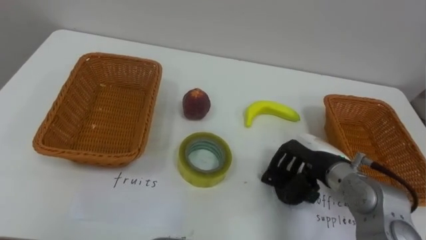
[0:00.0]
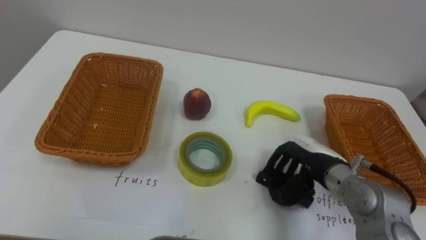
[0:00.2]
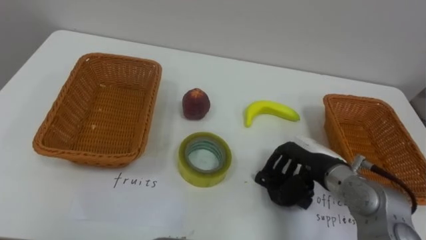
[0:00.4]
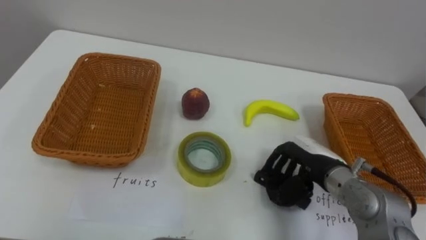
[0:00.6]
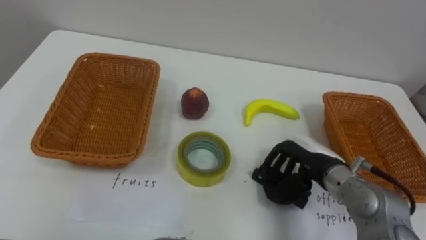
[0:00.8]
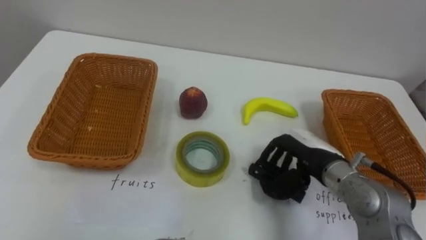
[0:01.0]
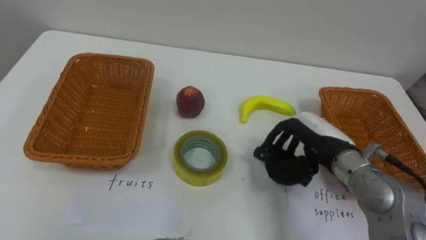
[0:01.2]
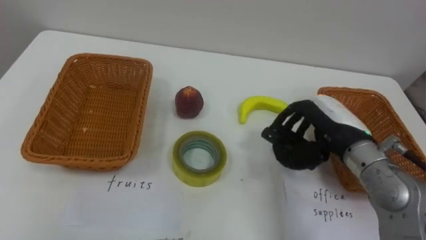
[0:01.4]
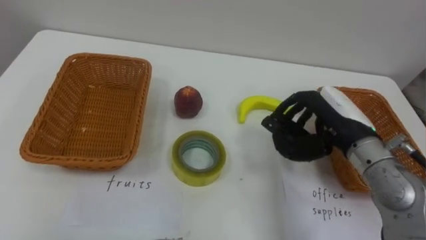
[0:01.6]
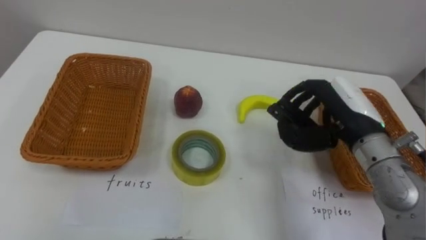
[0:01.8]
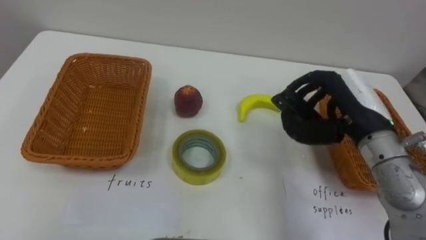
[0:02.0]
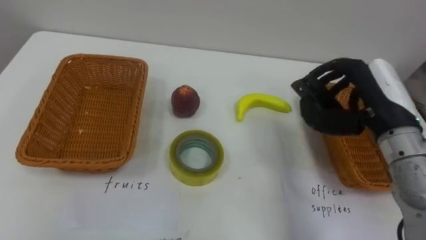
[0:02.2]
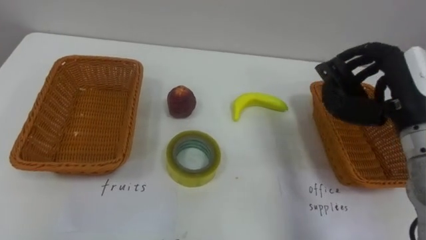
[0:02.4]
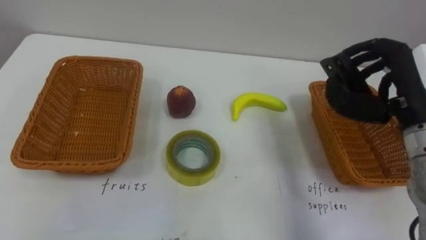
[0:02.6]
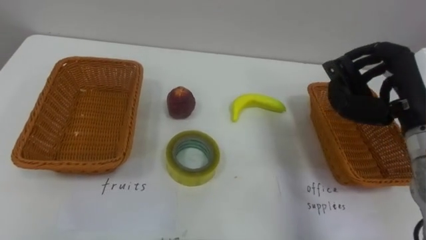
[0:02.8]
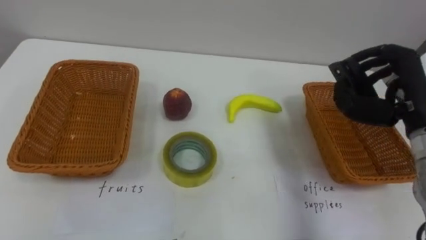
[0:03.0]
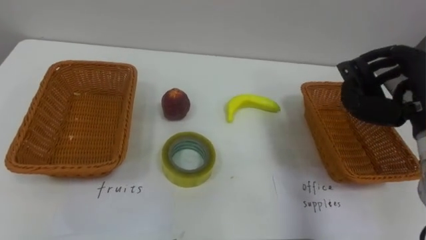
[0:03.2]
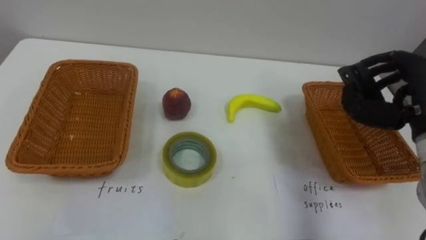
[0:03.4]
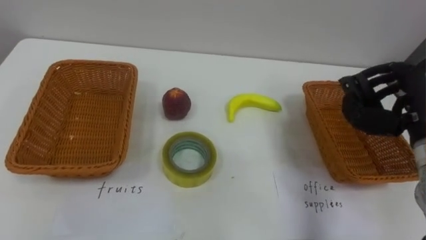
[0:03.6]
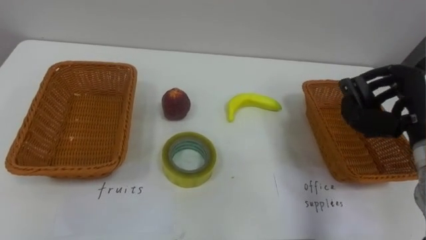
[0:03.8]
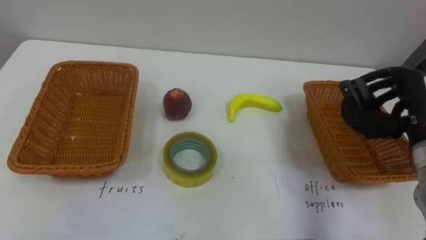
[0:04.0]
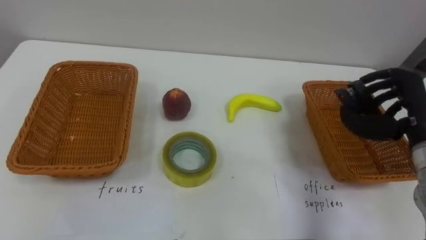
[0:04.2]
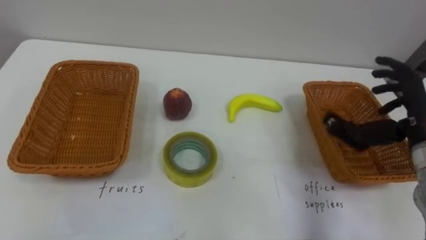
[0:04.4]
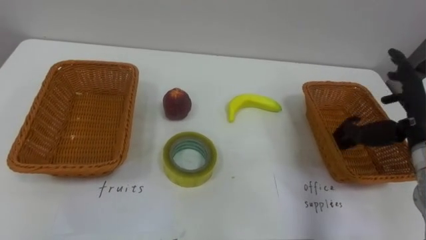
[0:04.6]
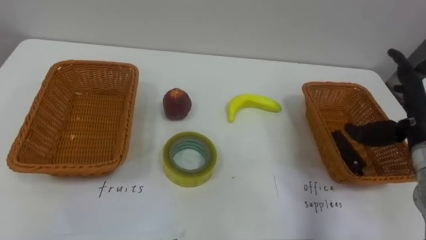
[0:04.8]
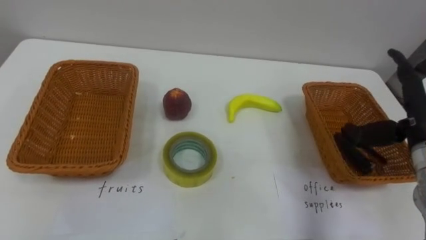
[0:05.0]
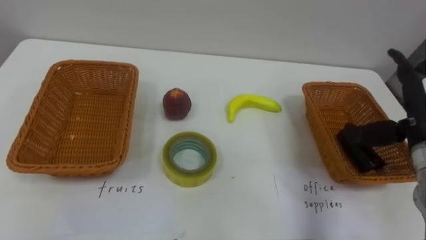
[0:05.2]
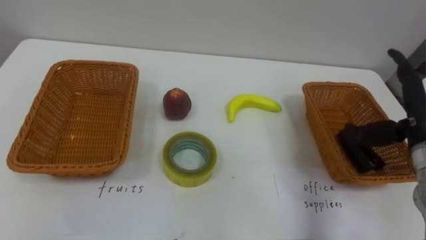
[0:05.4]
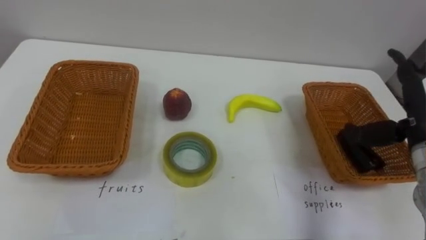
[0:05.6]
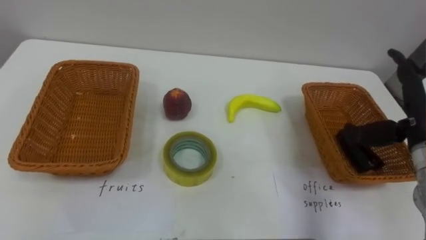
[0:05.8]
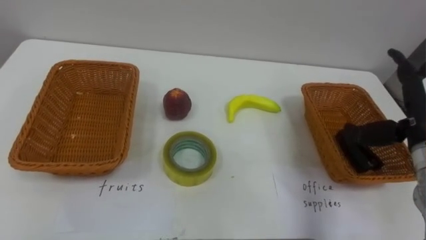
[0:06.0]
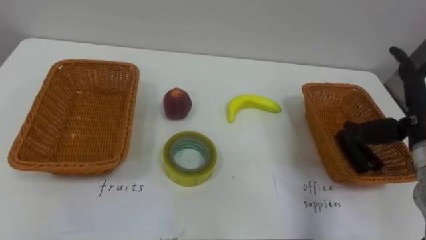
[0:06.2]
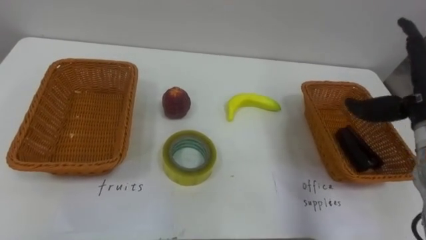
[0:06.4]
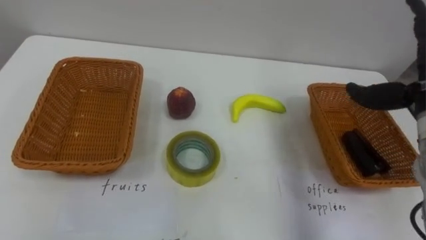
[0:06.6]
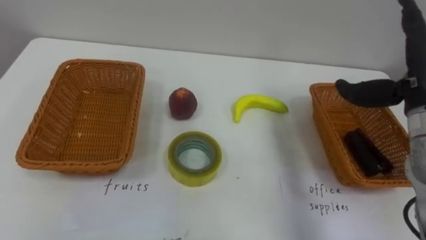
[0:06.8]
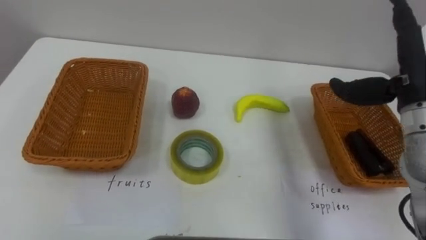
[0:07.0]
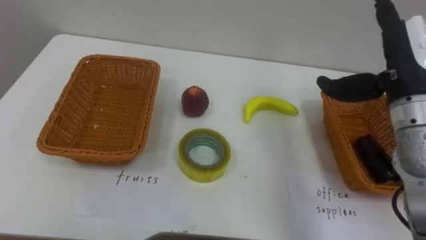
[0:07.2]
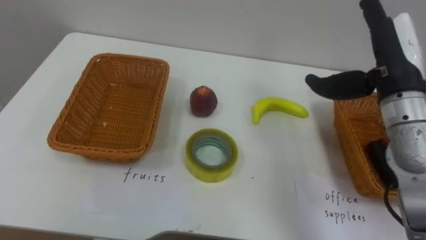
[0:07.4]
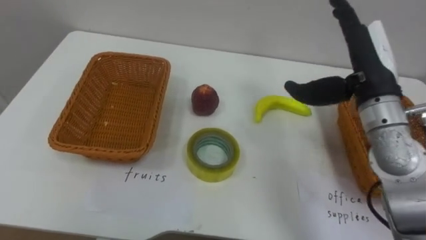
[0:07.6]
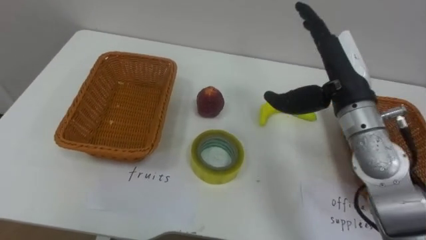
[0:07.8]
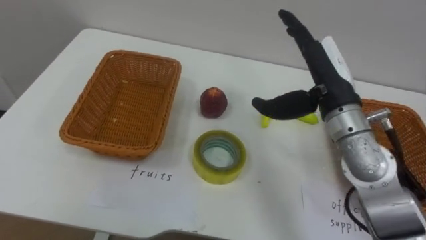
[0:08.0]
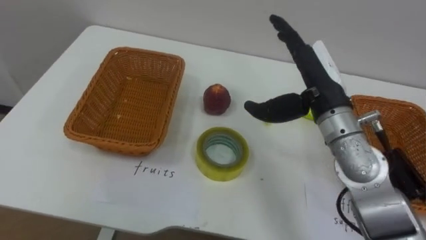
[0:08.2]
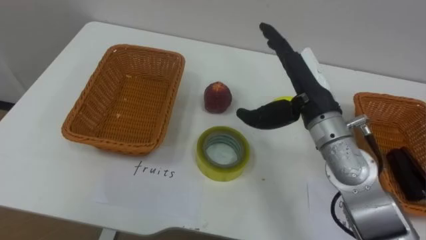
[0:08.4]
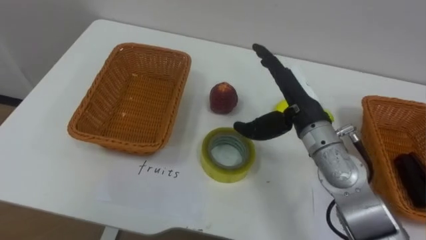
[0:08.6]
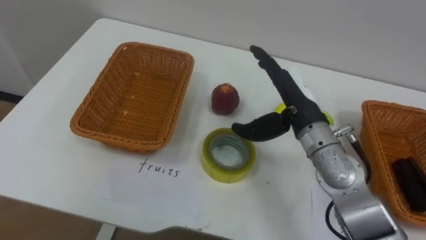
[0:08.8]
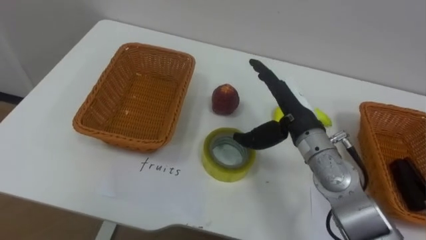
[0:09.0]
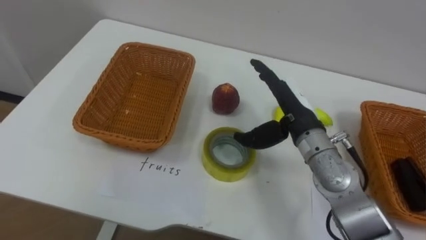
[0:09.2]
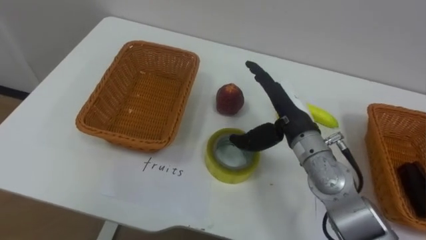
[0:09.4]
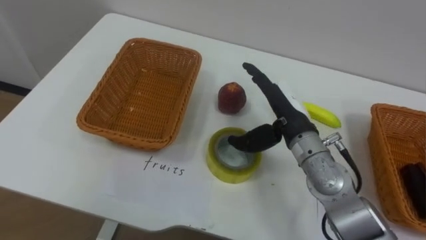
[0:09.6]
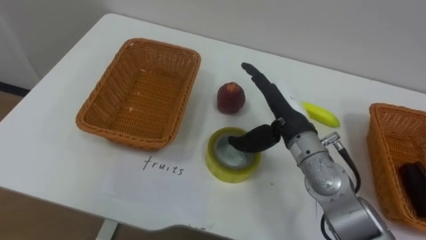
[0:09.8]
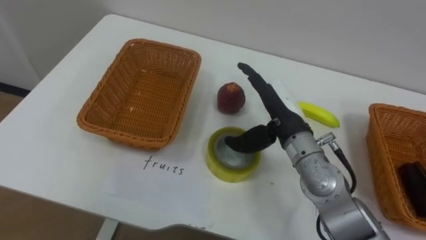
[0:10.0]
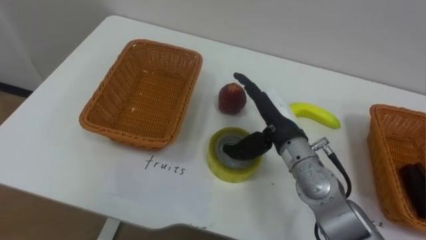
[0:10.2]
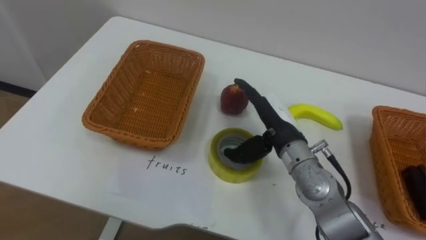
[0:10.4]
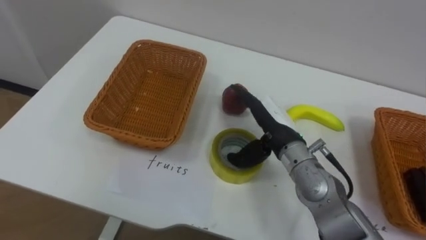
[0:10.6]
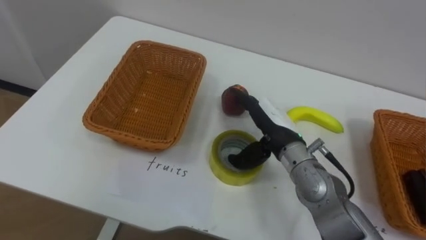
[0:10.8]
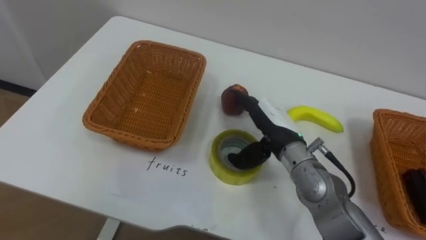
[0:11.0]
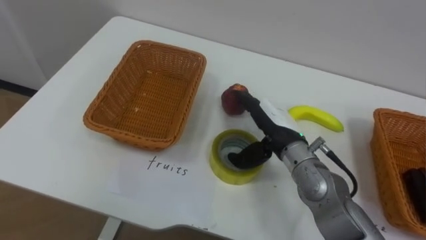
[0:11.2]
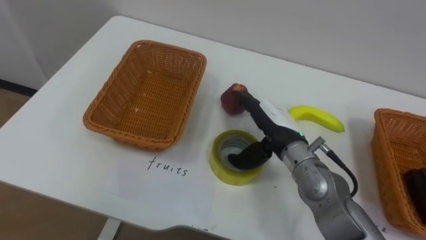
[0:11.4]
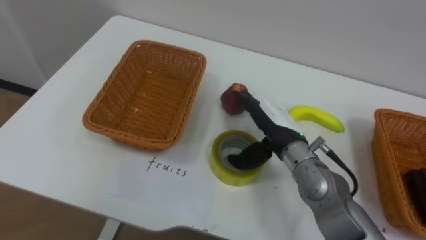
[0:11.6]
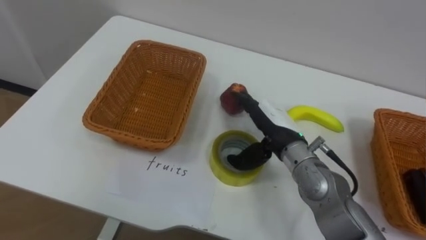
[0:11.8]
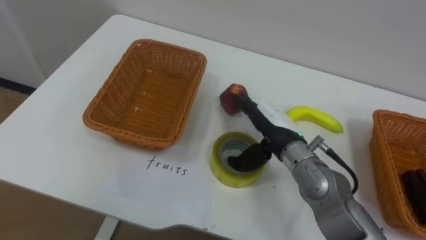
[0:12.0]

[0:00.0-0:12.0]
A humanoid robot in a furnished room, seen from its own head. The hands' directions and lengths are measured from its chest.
Task of the whole recording: Separate the items on the table and place them into the two baskets.
0:00.0 to 0:01.6: The right hand travels upward by some 10 cm.
0:01.6 to 0:03.0: The right hand goes roughly 10 cm to the right and upward.
0:03.0 to 0:04.4: The right hand changes place by some 5 cm.
0:04.4 to 0:06.0: The right hand opens.
0:07.6 to 0:09.0: The right hand goes roughly 15 cm downward and to the left.

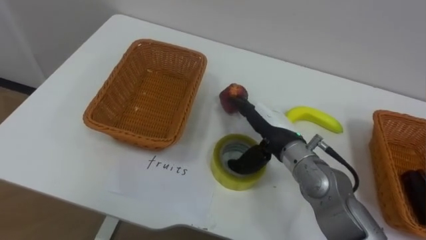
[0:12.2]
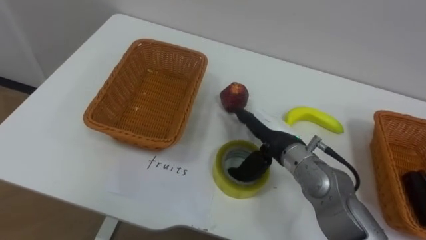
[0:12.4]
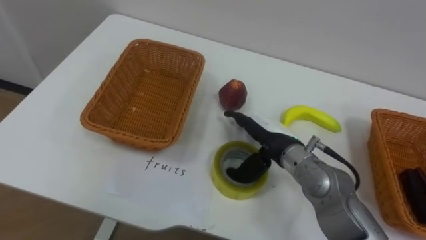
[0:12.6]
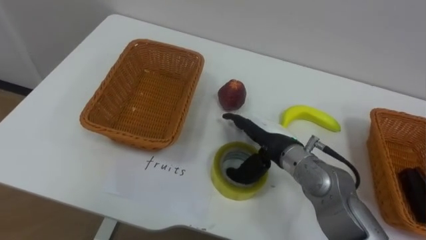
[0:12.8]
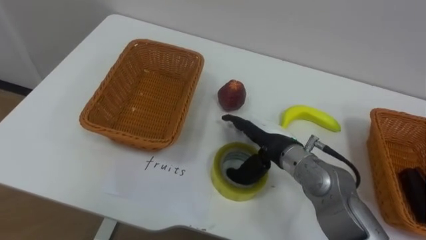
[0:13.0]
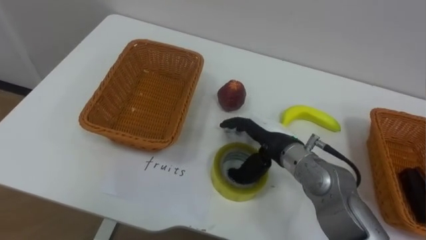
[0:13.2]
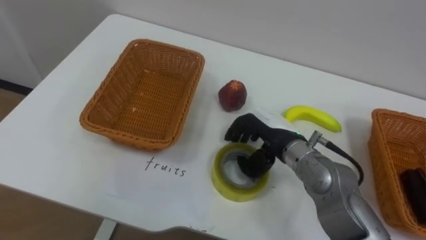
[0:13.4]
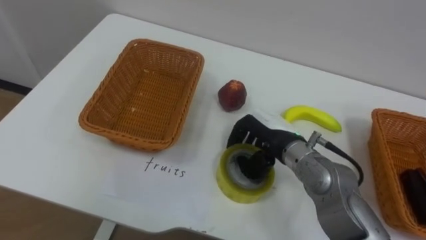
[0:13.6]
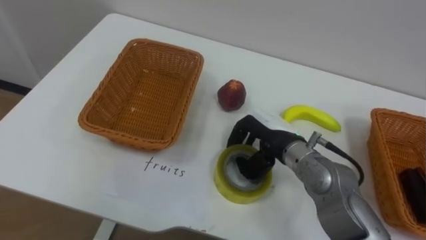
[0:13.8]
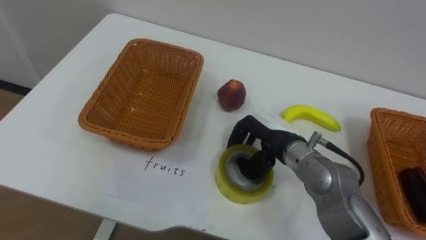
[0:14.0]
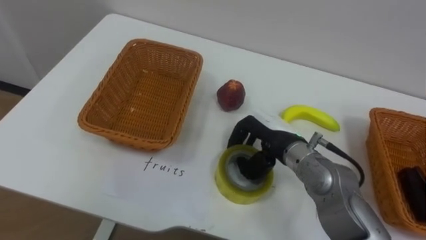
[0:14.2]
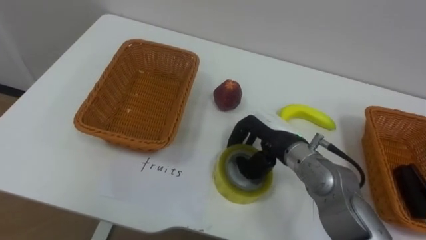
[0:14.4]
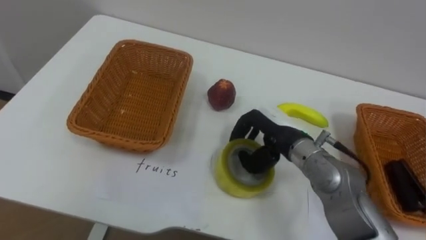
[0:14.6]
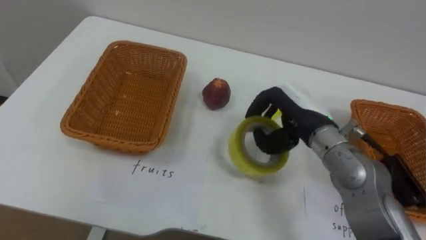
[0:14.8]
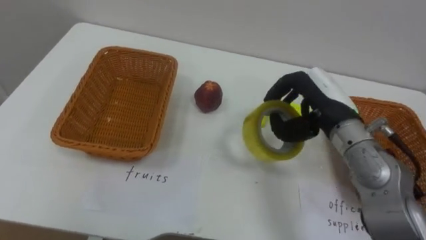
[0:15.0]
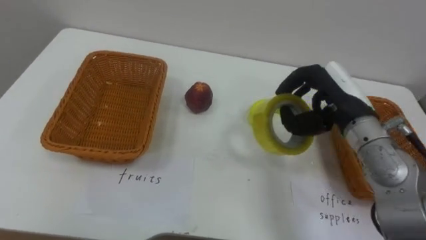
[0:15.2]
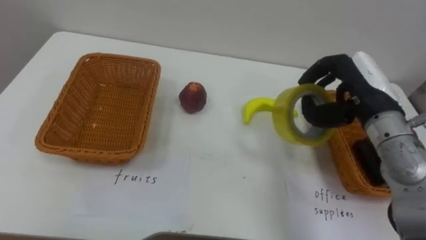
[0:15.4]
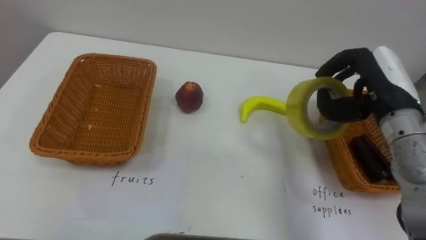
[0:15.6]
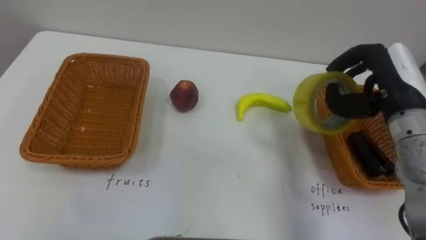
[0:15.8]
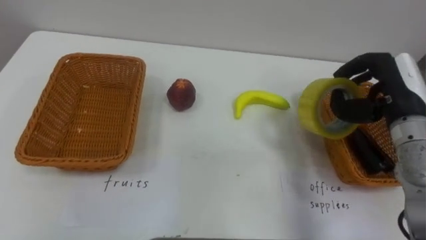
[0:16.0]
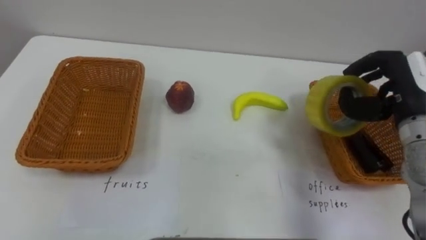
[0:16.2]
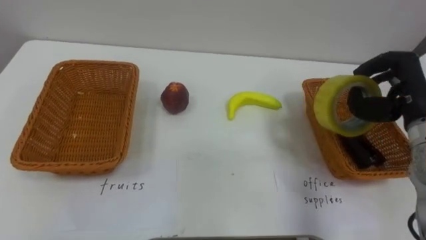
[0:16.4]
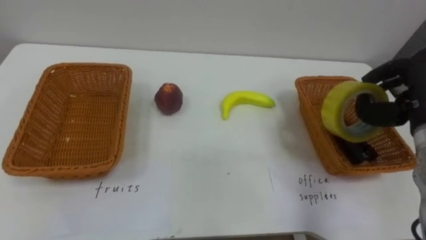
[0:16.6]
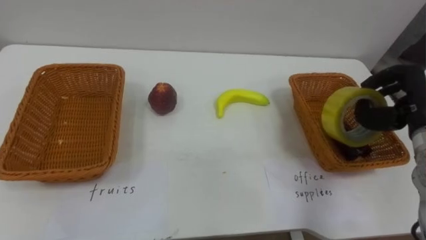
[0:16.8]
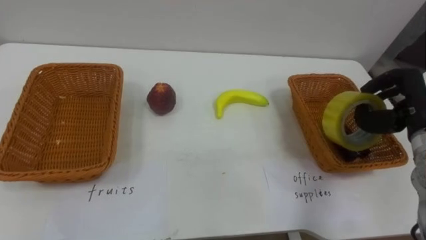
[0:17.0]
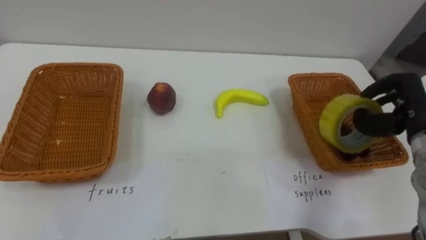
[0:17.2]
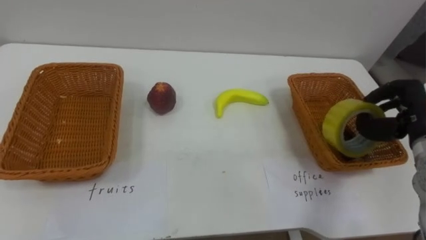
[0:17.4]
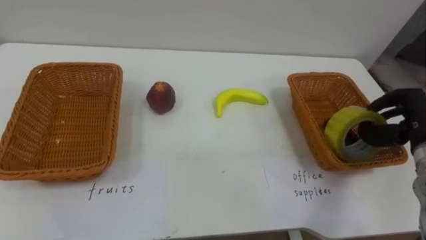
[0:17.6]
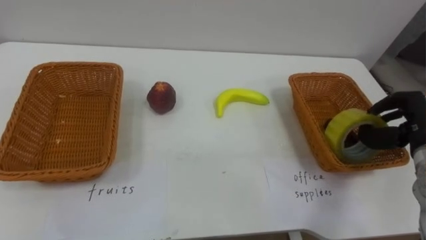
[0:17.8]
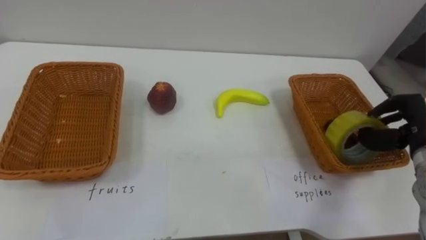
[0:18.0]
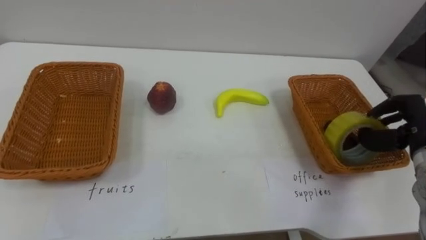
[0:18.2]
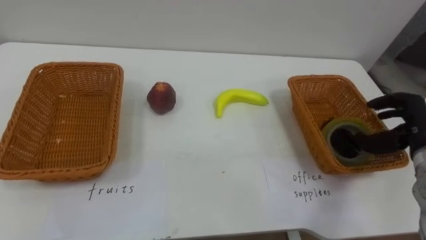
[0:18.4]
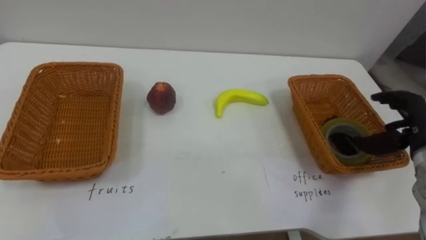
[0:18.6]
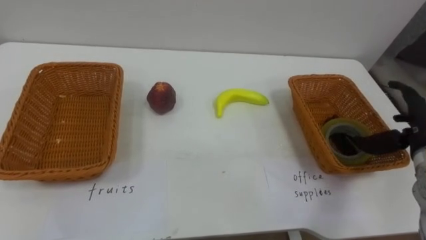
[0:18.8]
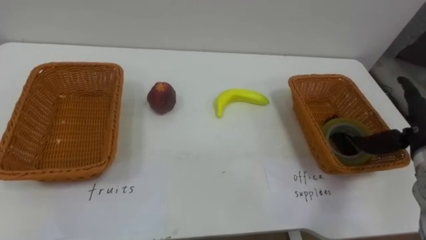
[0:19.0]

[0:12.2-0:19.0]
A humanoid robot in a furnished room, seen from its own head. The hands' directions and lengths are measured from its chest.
Task of the whole recording: Separate the items on the table and place them into the two baskets.
0:12.2 to 0:13.6: The right hand closes up.
0:13.6 to 0:15.0: The right hand travels upward and to the right by roughly 10 cm.
0:15.0 to 0:16.2: The right hand travels to the right by about 10 cm.
0:16.2 to 0:17.6: The right hand moves downward and to the right, approximately 10 cm.
0:17.6 to 0:19.0: The right hand opens up.
